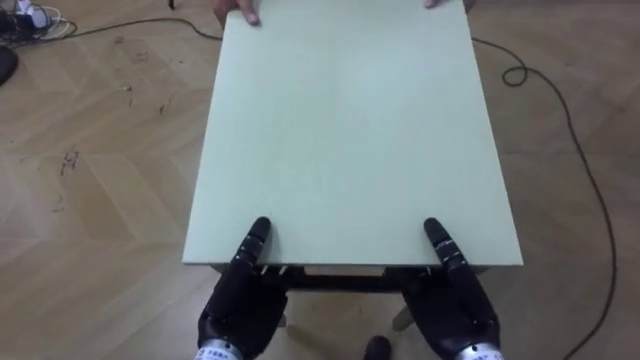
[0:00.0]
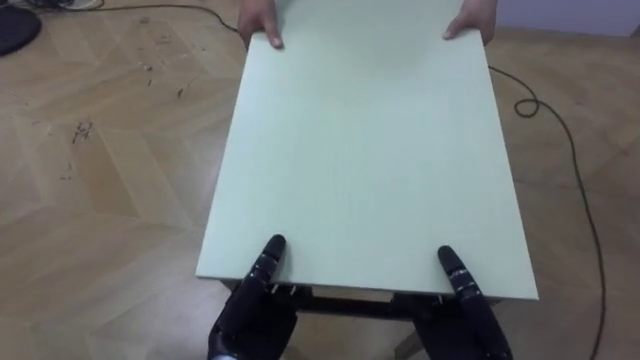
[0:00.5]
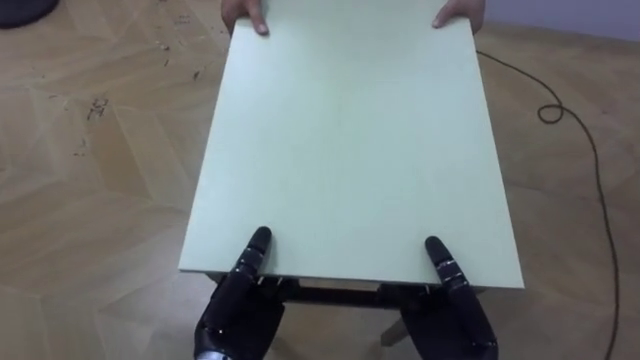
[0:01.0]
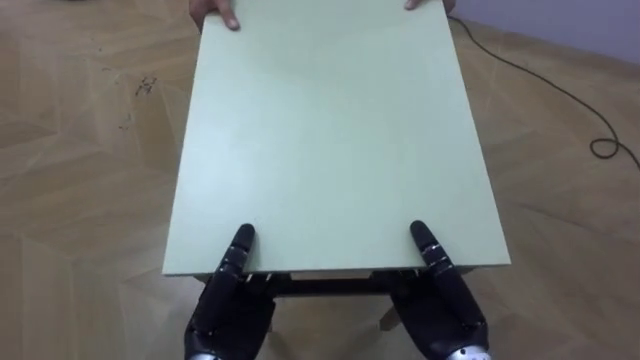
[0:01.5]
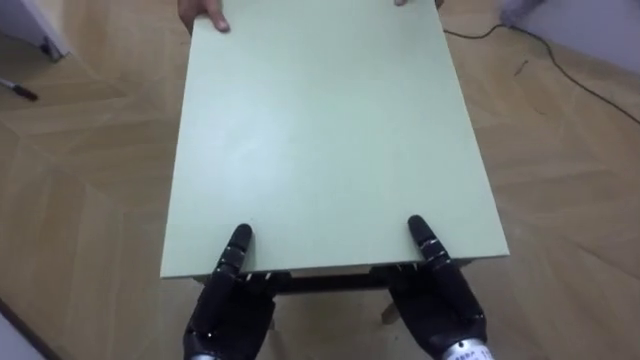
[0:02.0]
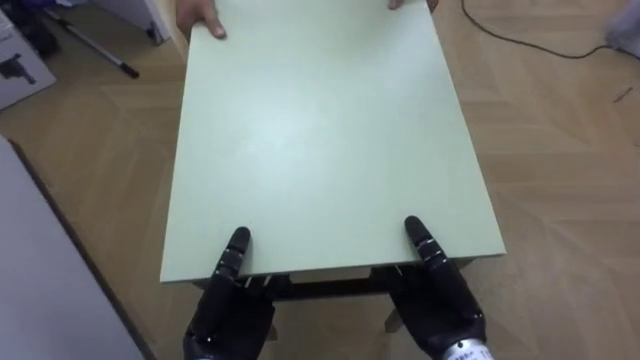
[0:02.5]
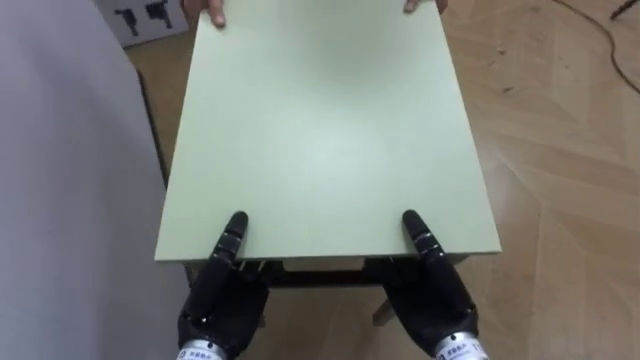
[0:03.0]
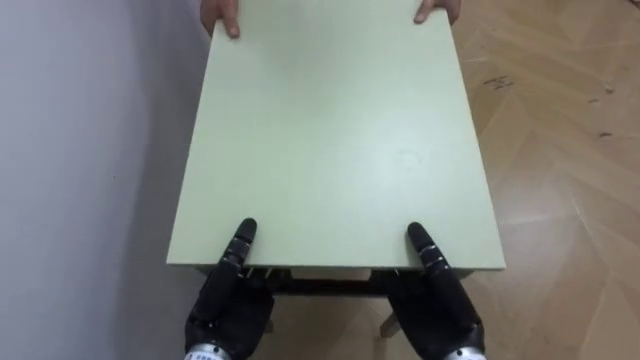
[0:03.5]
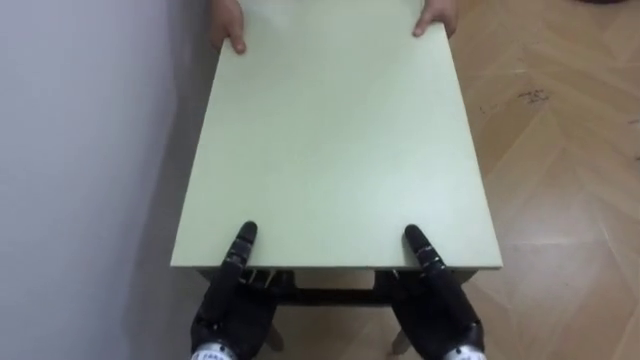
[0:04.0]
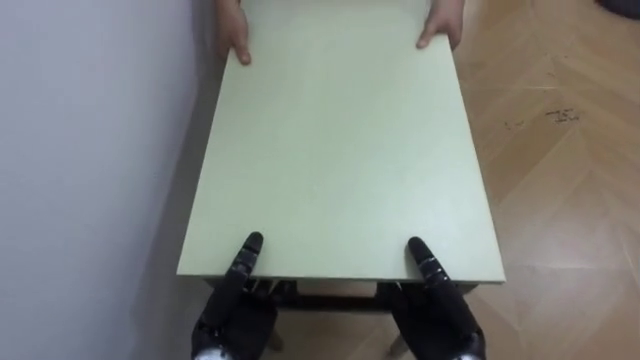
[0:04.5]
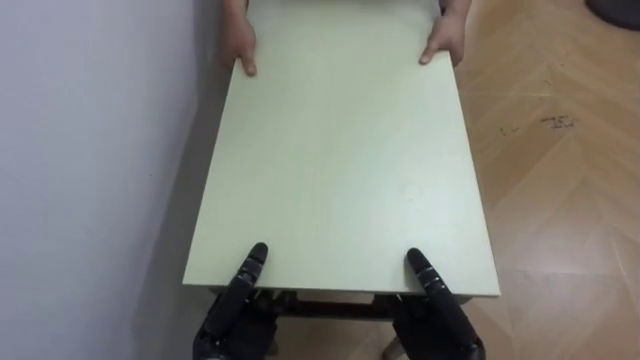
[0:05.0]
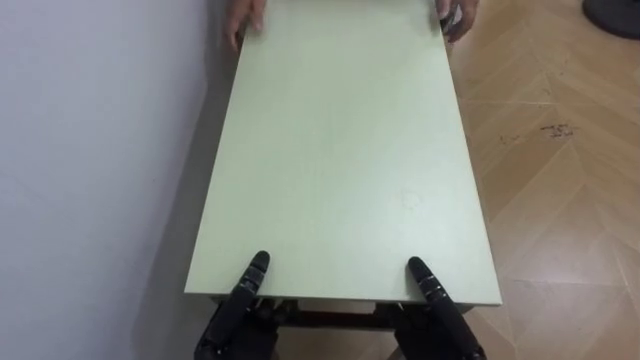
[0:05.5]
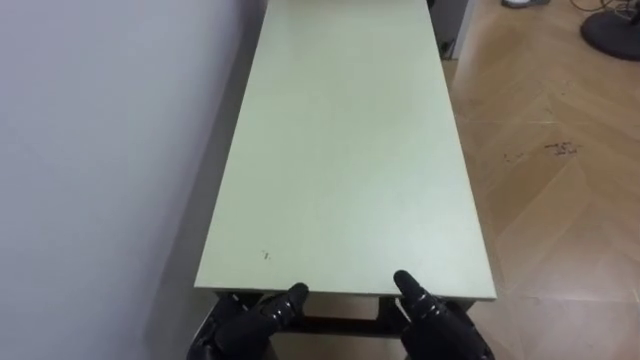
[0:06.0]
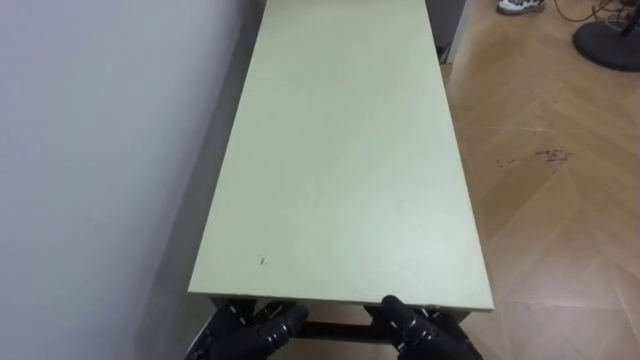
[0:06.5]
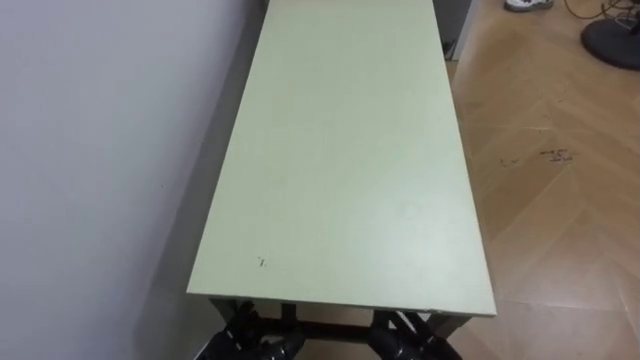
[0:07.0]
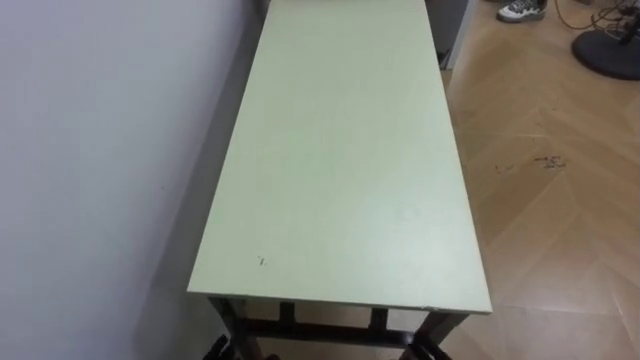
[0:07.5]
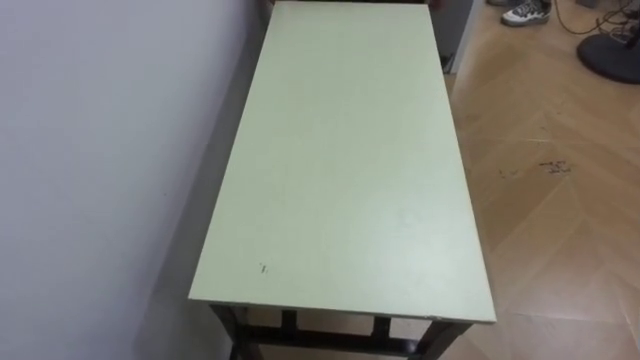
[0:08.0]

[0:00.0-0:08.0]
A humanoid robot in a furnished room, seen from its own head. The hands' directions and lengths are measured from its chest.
Task of the whole recording: Move the table to the back left with someone.
0.0 to 2.0 s: The robot faces roughly 25 degrees further to its left.
2.0 to 4.0 s: The robot rotates approximately 60 degrees to its left.

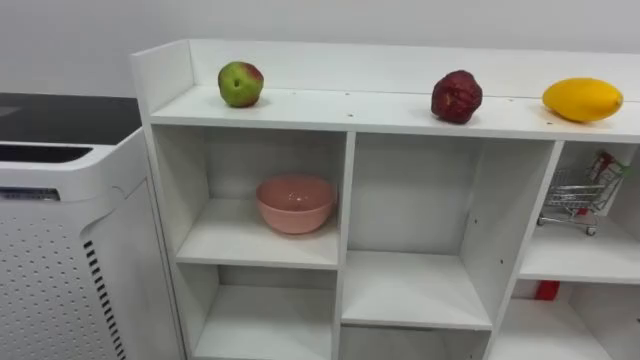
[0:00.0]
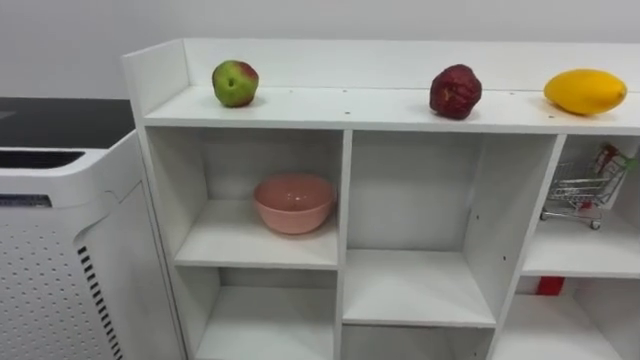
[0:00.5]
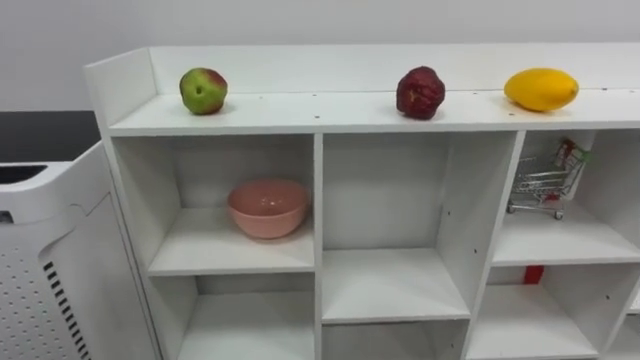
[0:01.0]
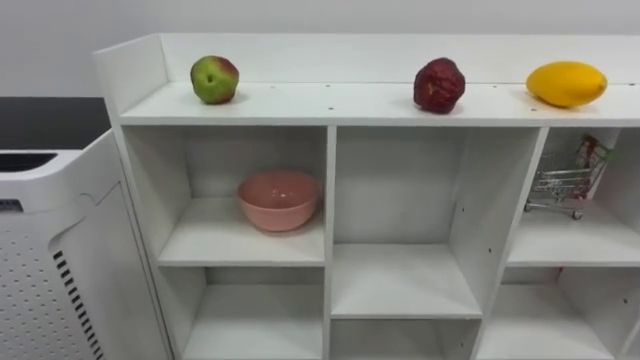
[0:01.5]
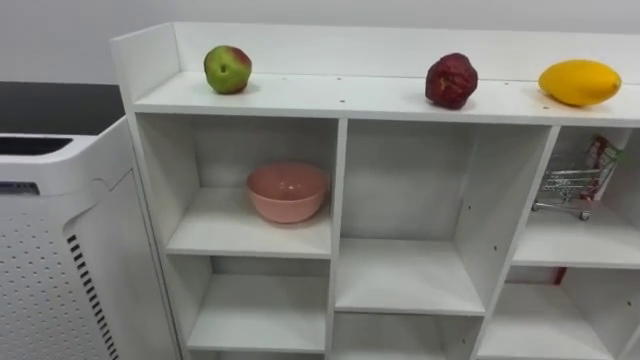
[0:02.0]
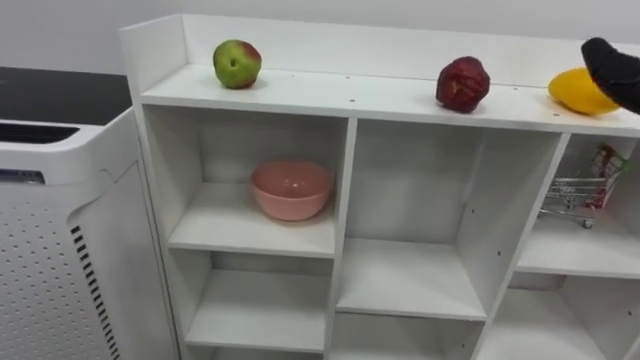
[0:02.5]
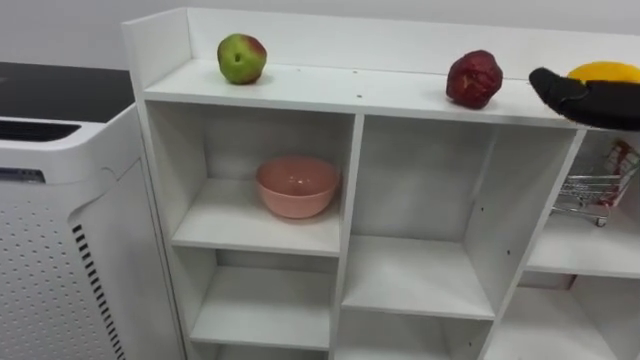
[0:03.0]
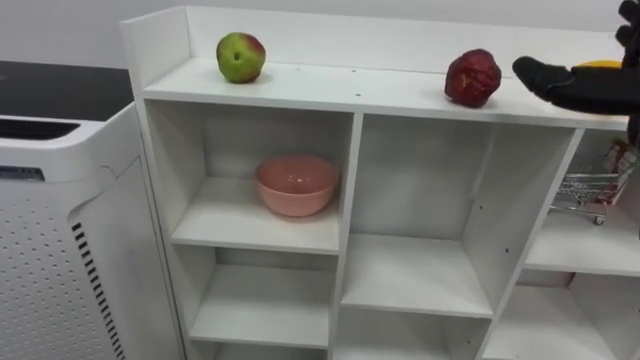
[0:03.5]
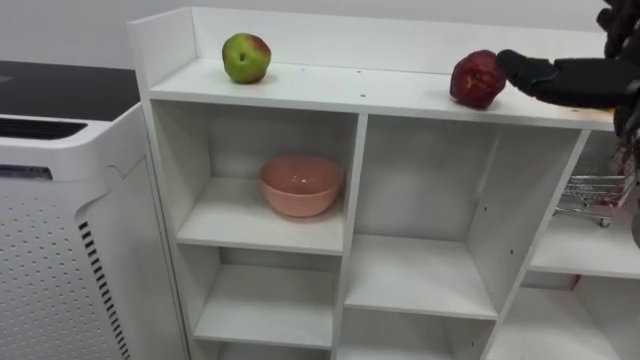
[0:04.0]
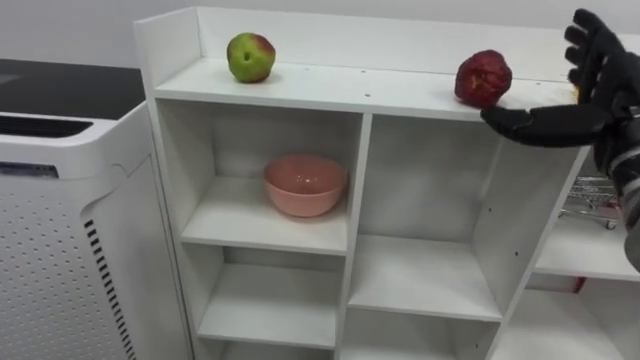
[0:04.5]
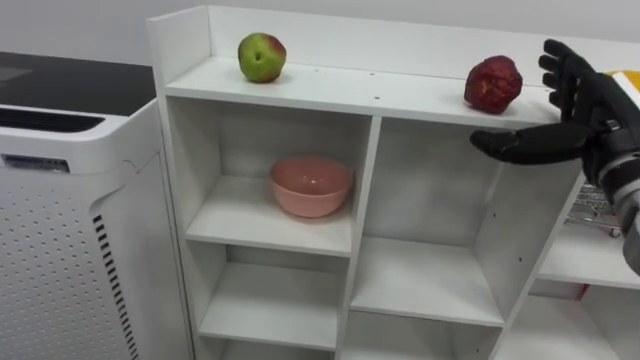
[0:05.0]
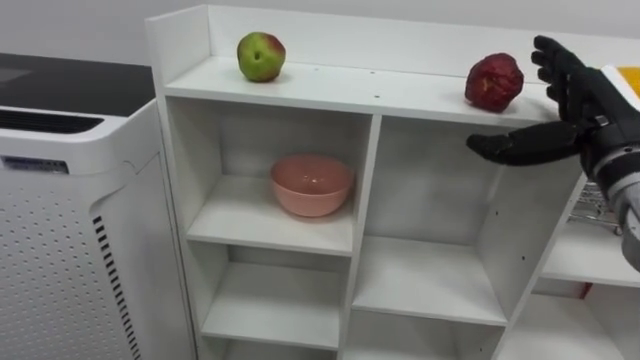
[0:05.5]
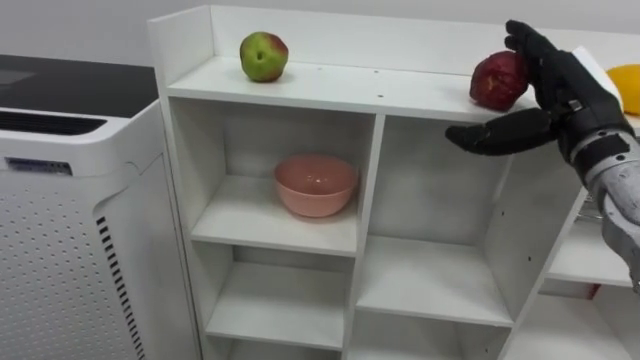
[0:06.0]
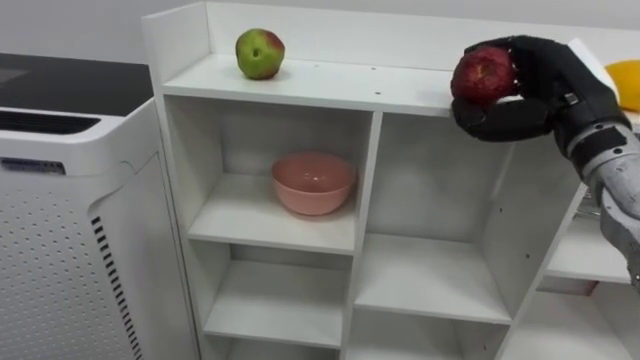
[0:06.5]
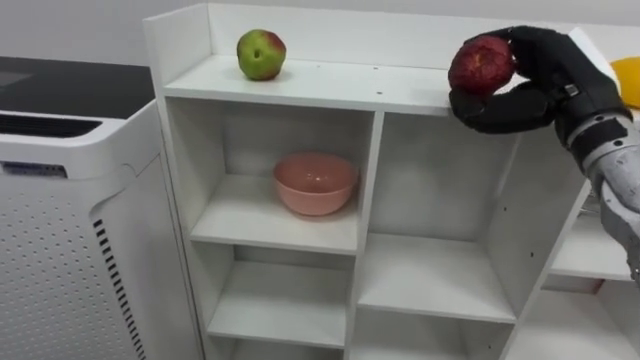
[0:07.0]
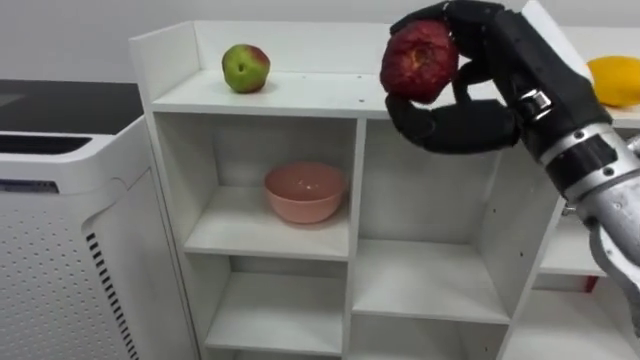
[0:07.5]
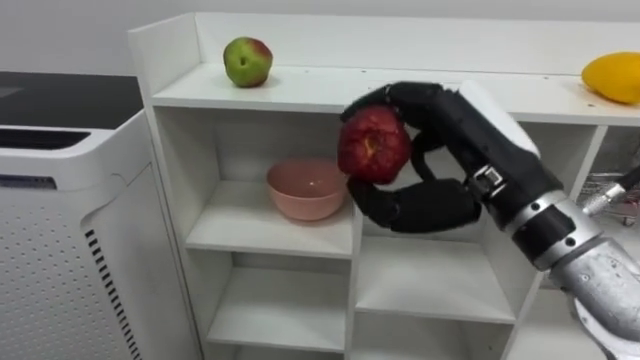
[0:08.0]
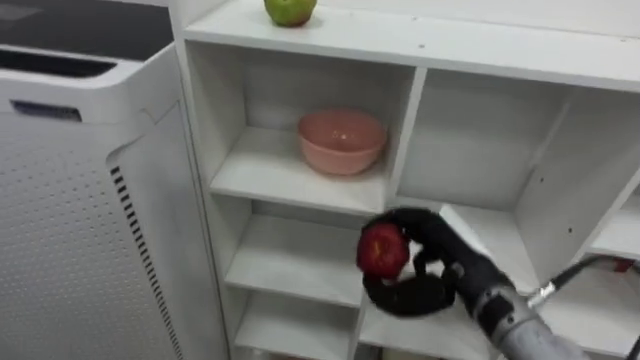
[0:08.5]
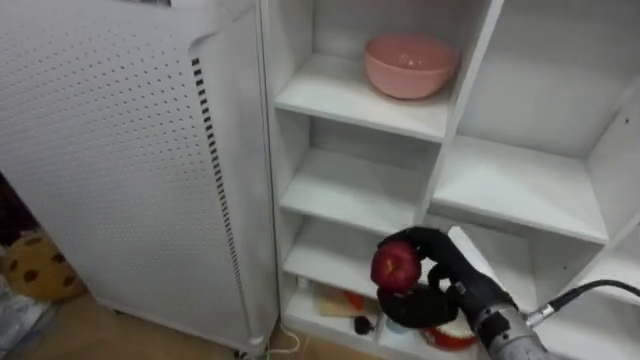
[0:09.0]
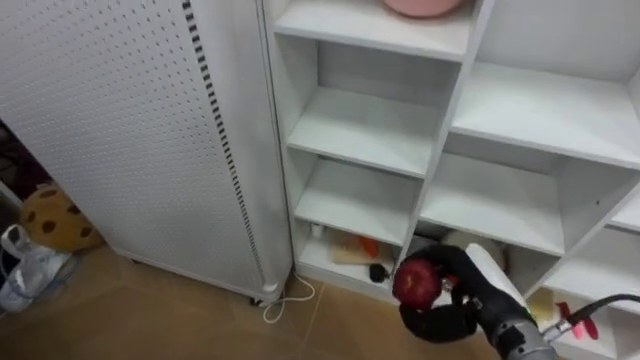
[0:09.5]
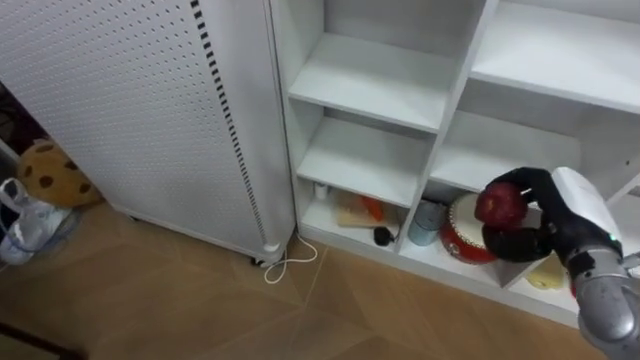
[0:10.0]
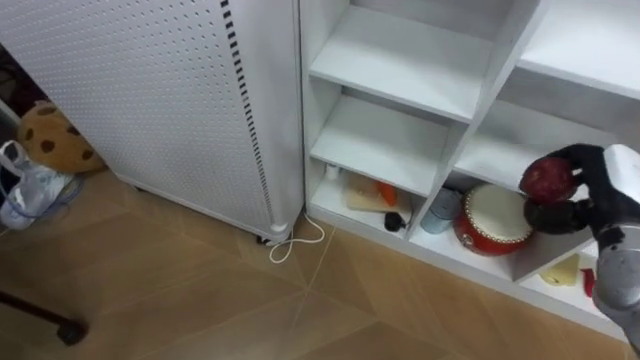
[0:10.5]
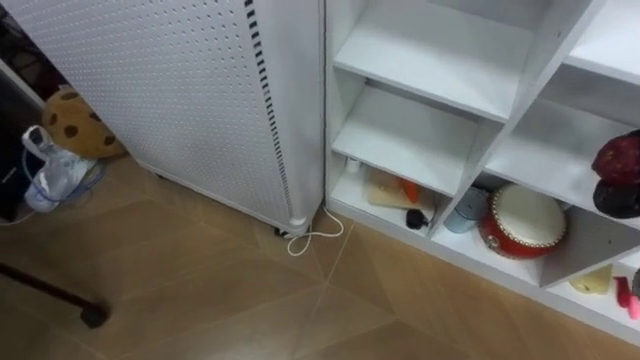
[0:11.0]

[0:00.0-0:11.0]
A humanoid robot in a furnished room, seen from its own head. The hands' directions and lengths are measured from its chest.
Task of the whole recording: Put the apple in the cell in the second column from the left and the second row from the top.
5.5 to 7.5 s: The right hand travels to the left, upward and backward by about 15 cm, and closes up.
7.5 to 9.0 s: The right hand heads downward, covering about 25 cm.

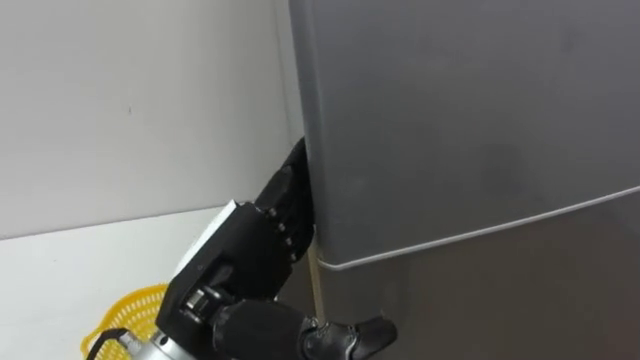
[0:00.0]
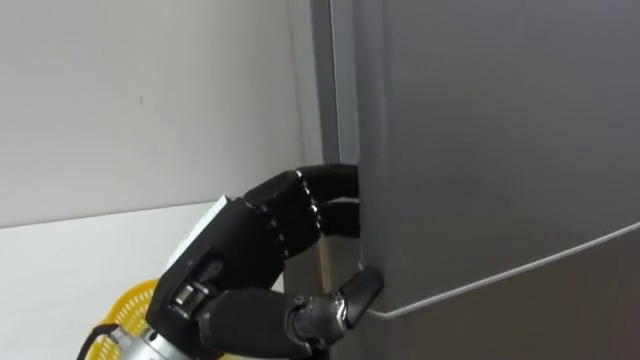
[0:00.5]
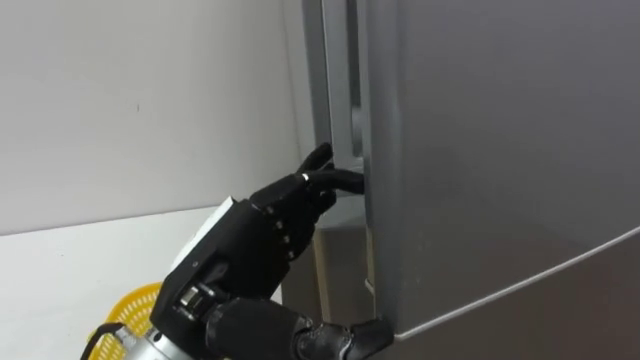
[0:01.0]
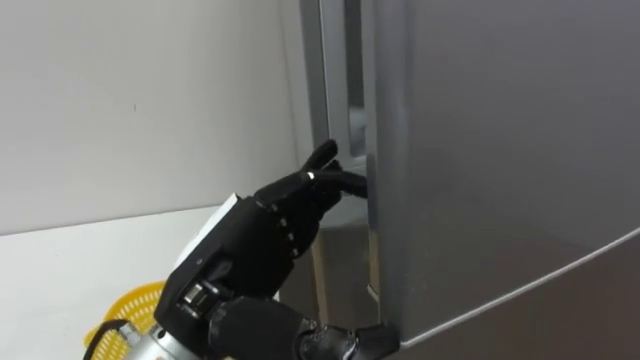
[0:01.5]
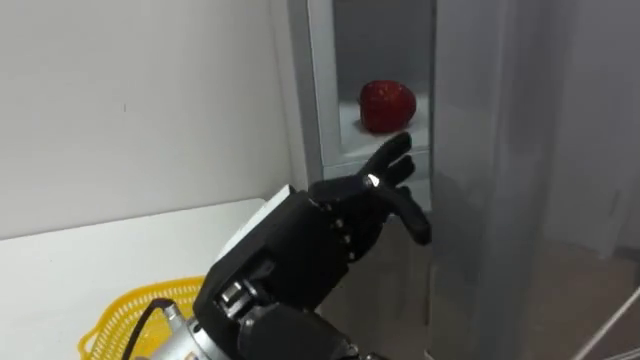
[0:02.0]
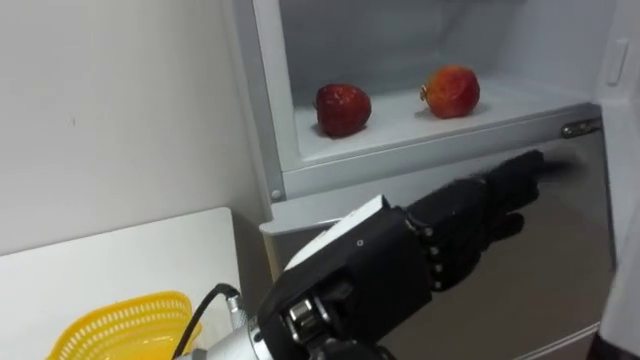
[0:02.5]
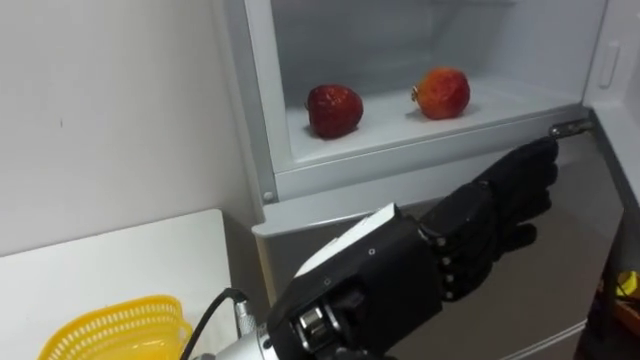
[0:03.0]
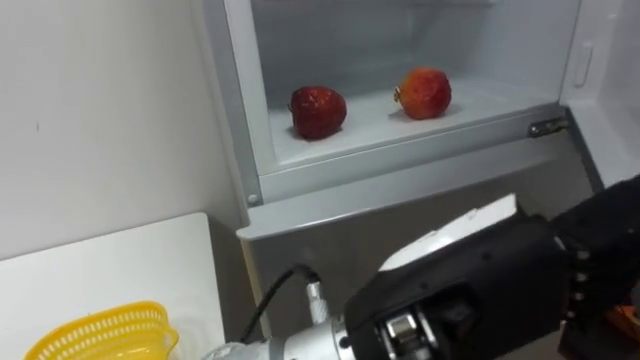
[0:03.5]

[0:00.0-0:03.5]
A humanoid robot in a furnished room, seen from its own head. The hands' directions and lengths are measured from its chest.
Task of the whole recording: Open the refrigerator door, take out the apple and the pomegranate, place them in the fruit basket on the left, and close the refrigerator door.
0.0 to 2.0 s: The left hand closes and opens again.
2.0 to 3.5 s: The left hand goes approximately 10 cm to the right and backward.
